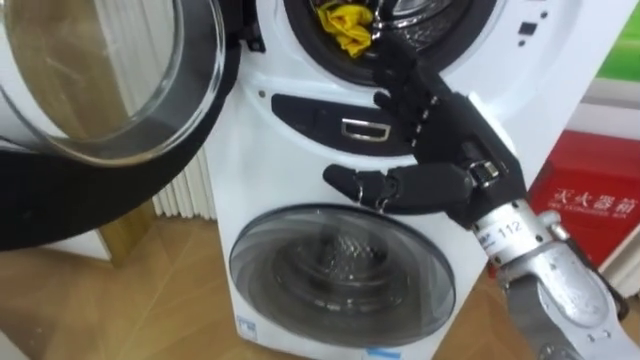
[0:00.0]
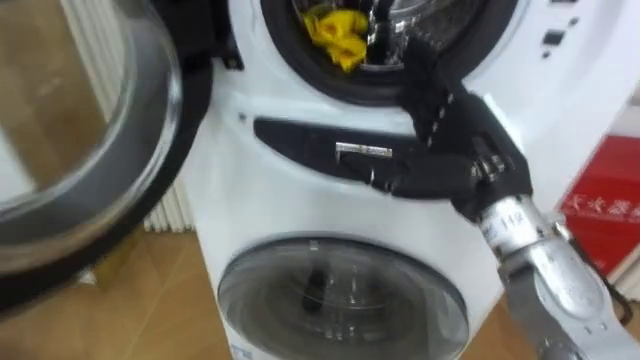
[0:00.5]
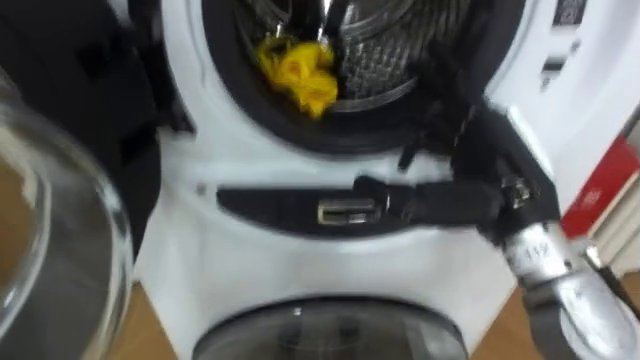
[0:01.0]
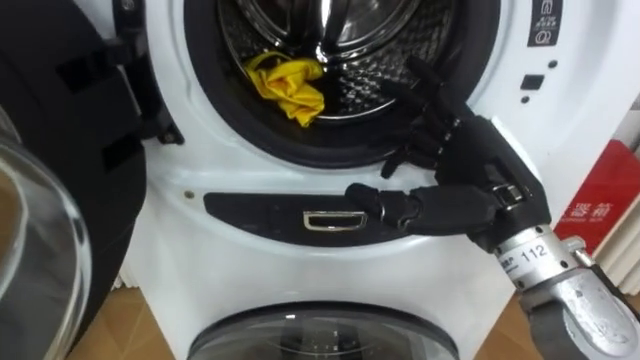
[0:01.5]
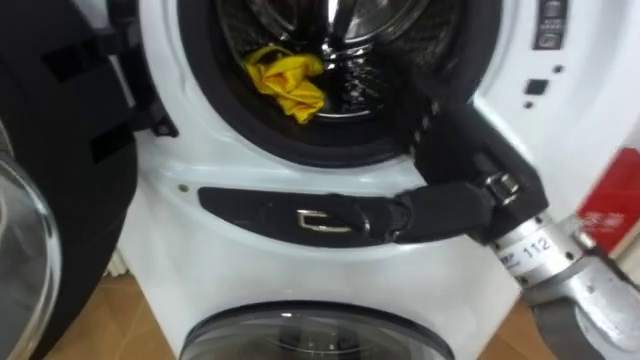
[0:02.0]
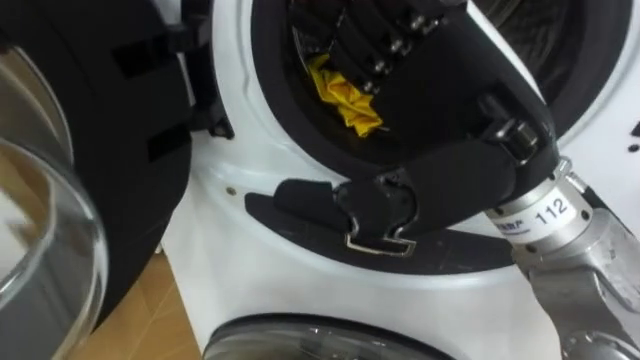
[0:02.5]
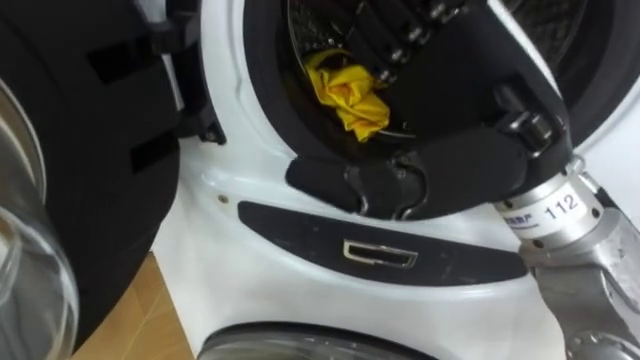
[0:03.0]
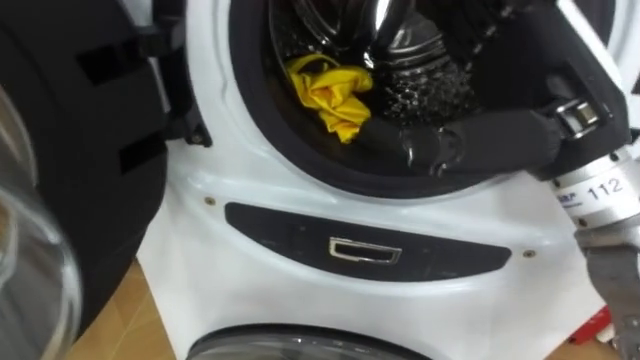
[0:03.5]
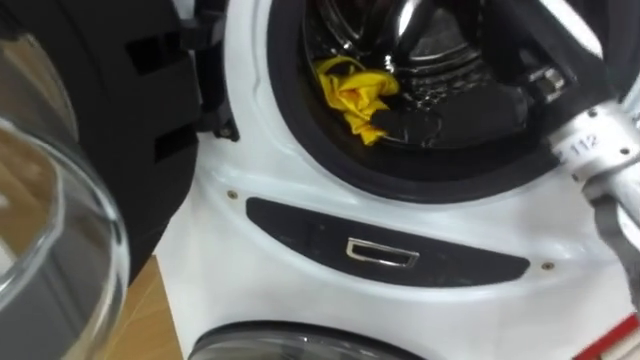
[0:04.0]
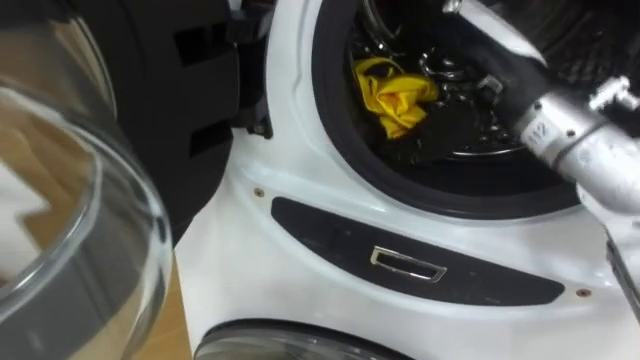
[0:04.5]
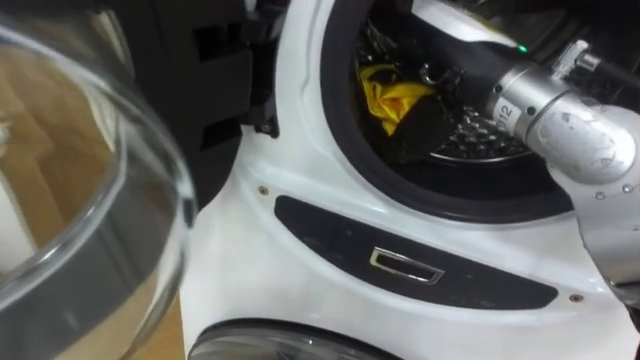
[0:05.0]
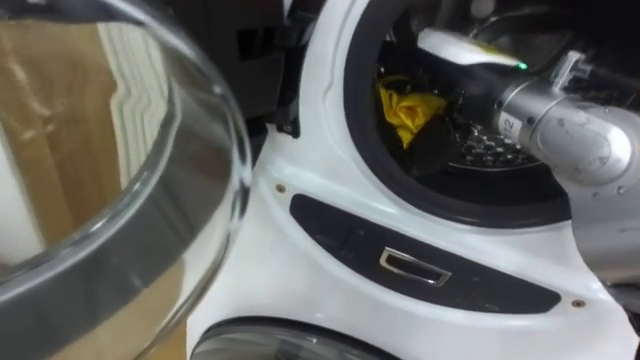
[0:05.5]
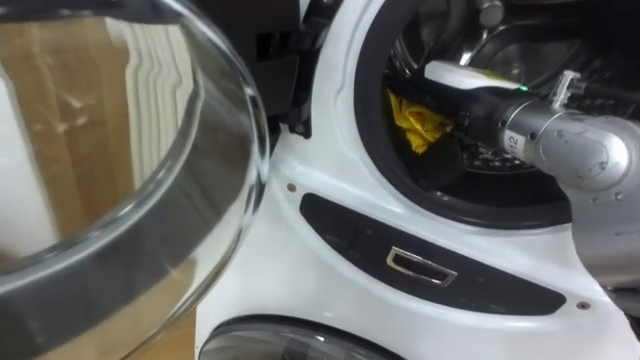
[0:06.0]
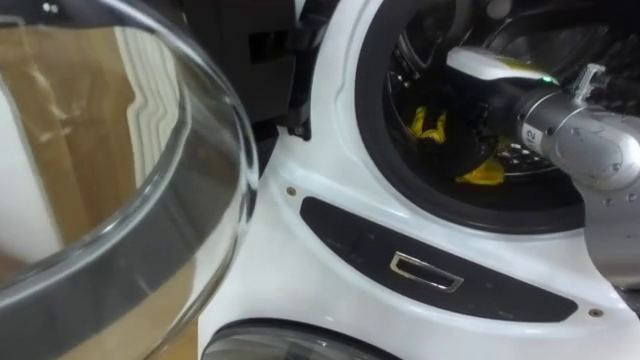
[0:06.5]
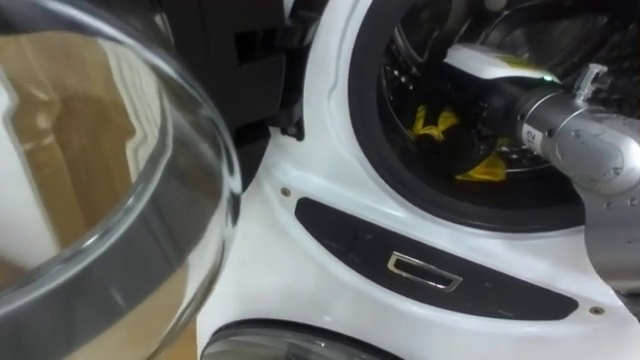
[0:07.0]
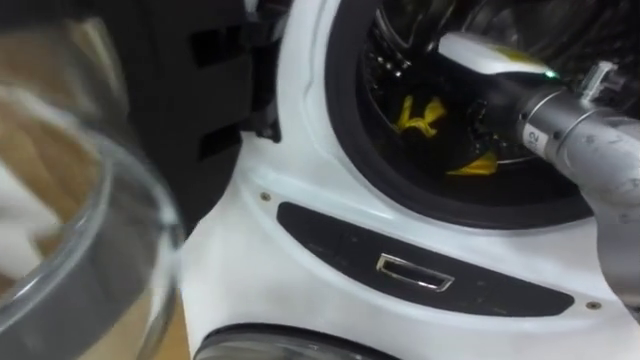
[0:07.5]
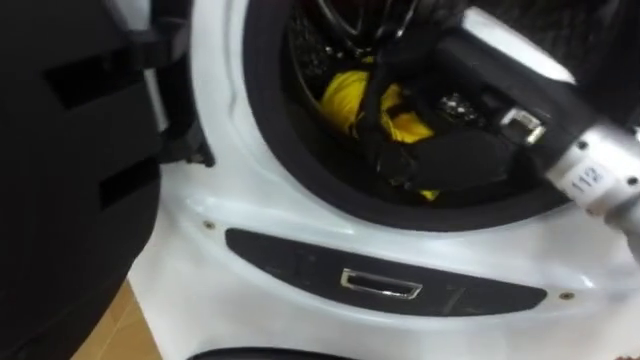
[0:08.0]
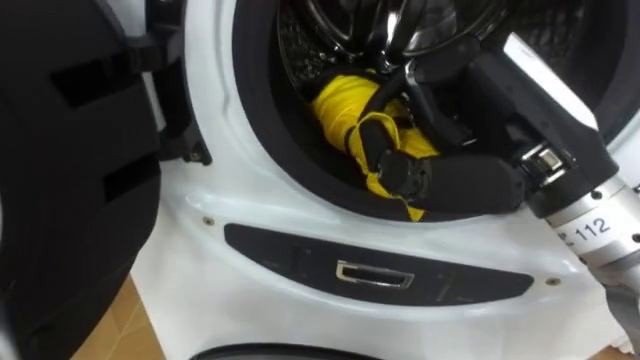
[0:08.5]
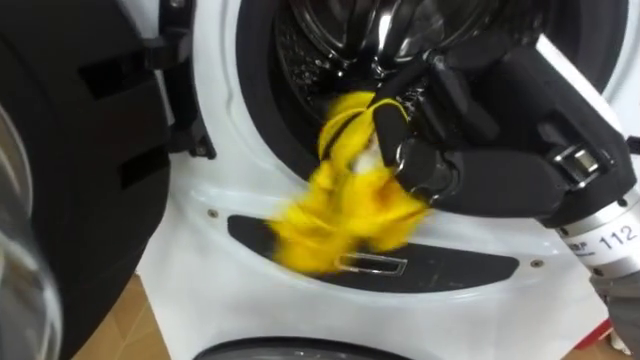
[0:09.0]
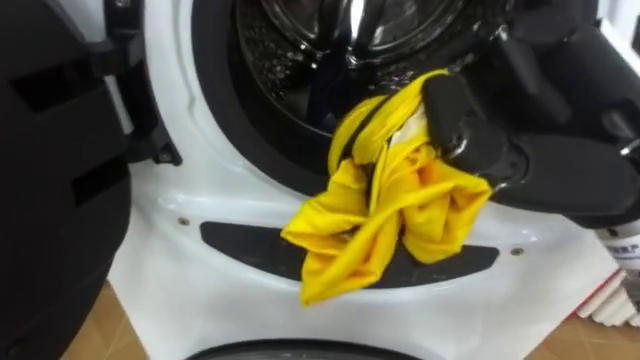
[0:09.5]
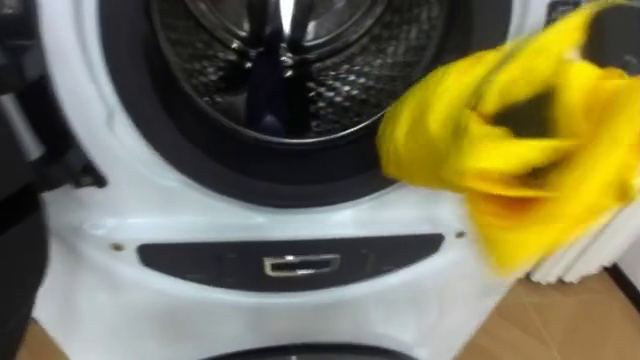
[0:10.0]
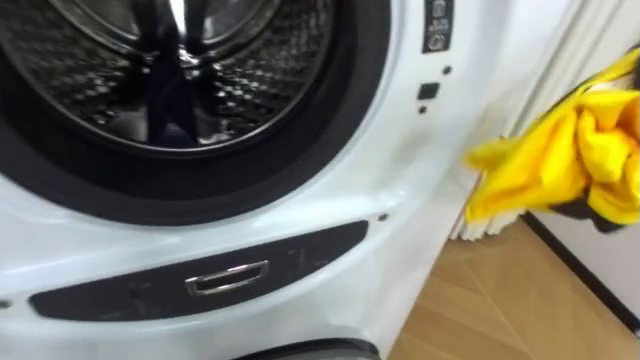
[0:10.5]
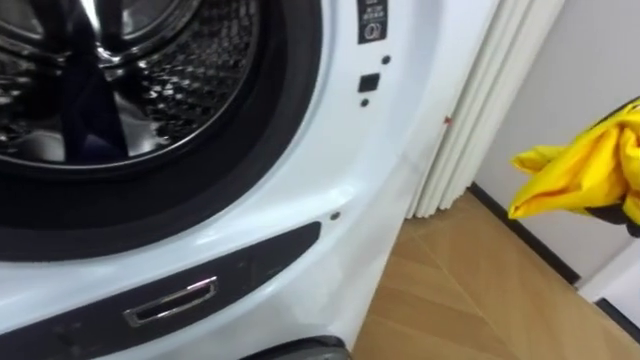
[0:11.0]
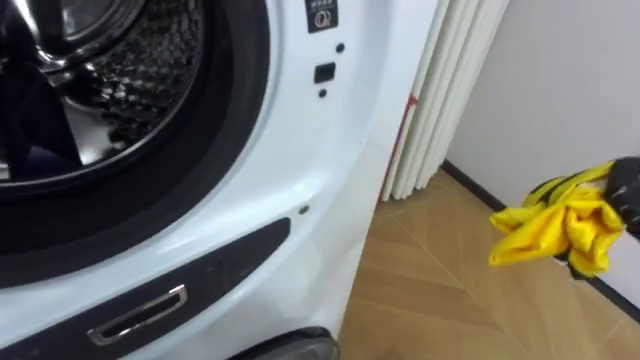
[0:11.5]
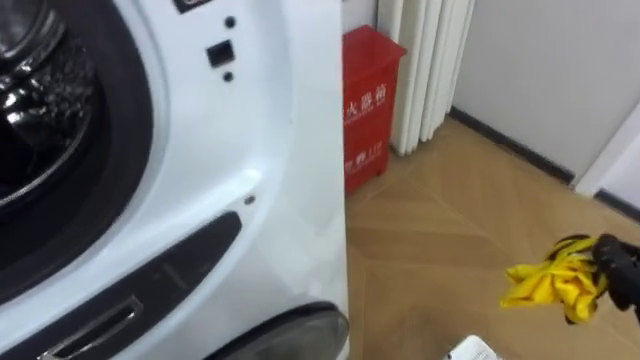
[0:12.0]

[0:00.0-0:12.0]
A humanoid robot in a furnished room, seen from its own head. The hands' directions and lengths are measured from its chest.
Task of the whole recording: Open the washing machine door, take out the yellow clothes, place them in the box on the right, and close the washing machine door.
0:02.0 to 0:04.0: The right hand is displaced upward by about 5 cm.
0:04.0 to 0:06.0: The right hand goes some 5 cm downward.
0:06.0 to 0:08.0: The right hand goes roughly 10 cm backward and upward, and closes its fingers.
0:10.0 to 0:12.0: The robot rotates approximately 25 degrees to its right.

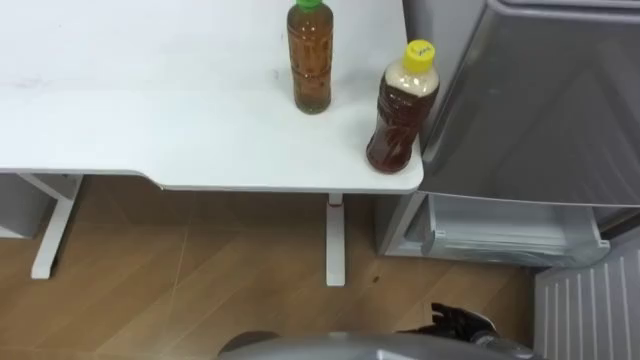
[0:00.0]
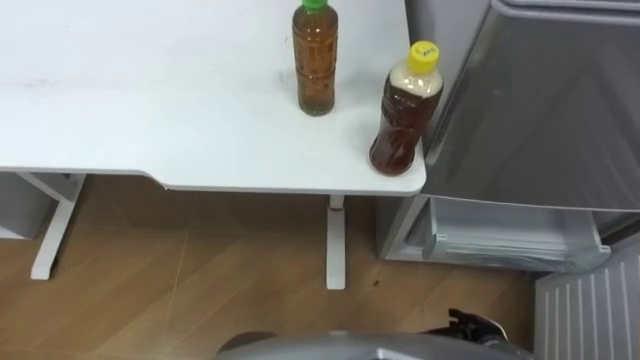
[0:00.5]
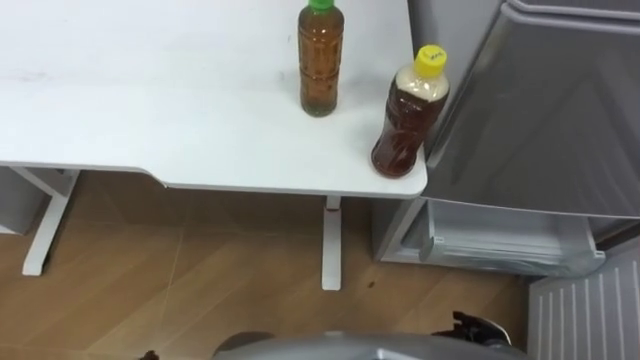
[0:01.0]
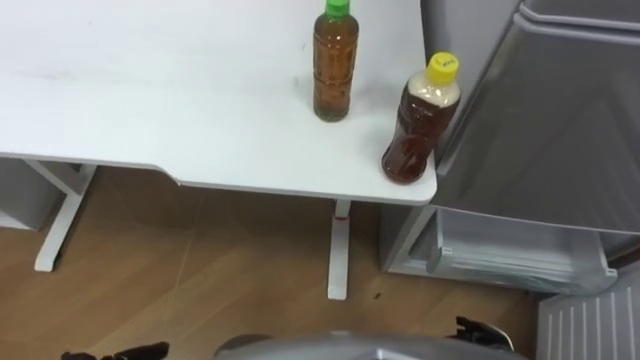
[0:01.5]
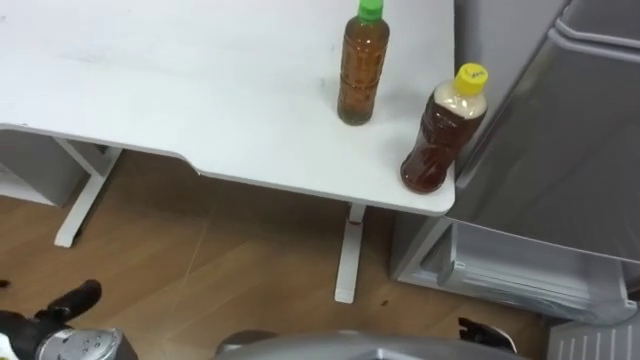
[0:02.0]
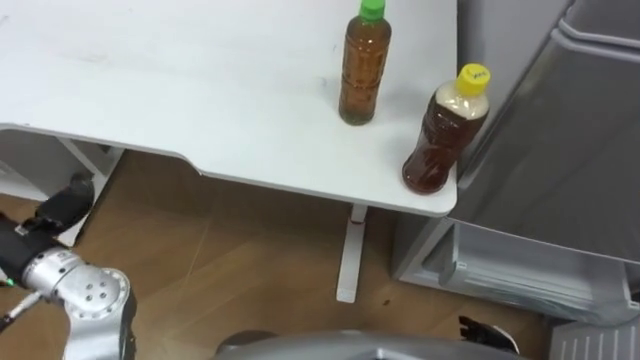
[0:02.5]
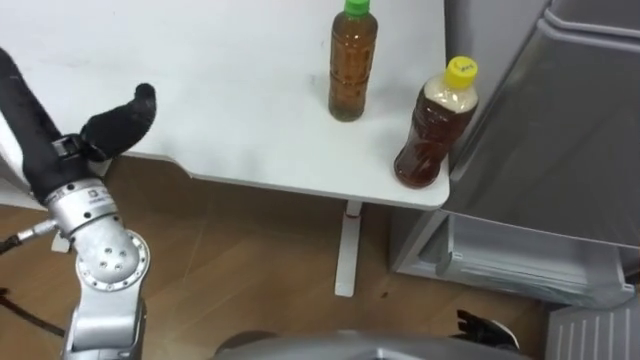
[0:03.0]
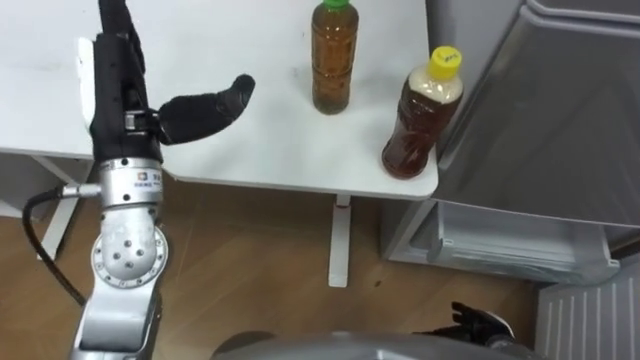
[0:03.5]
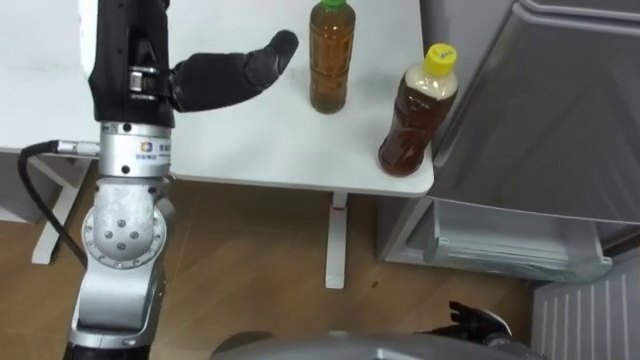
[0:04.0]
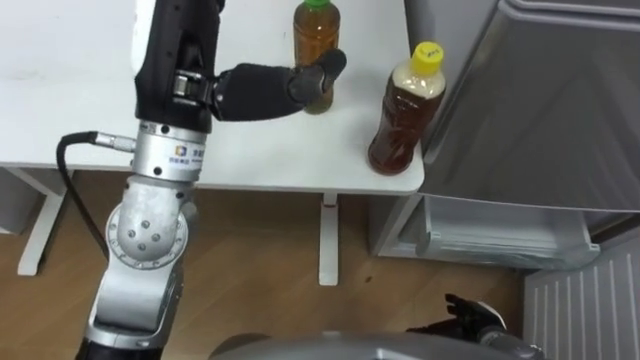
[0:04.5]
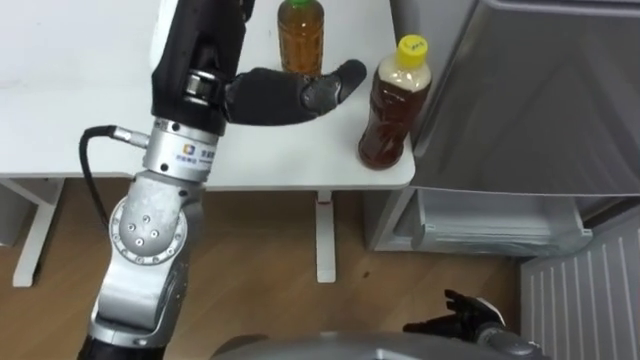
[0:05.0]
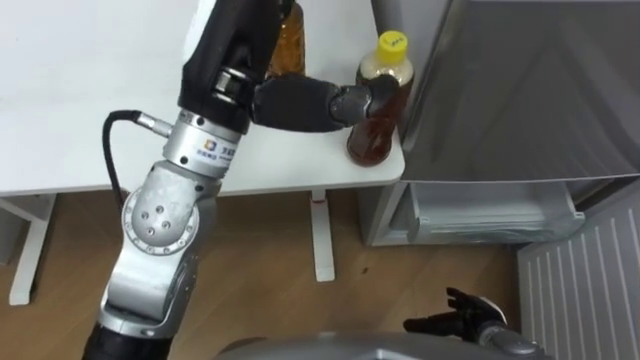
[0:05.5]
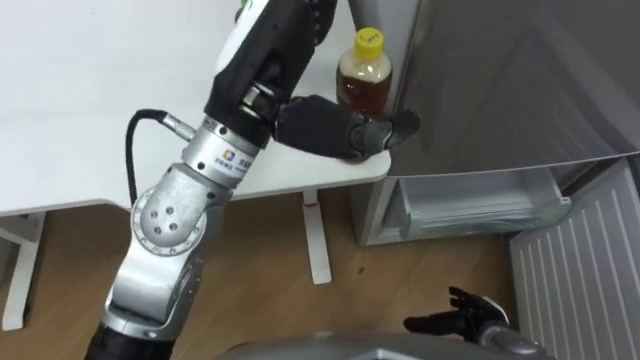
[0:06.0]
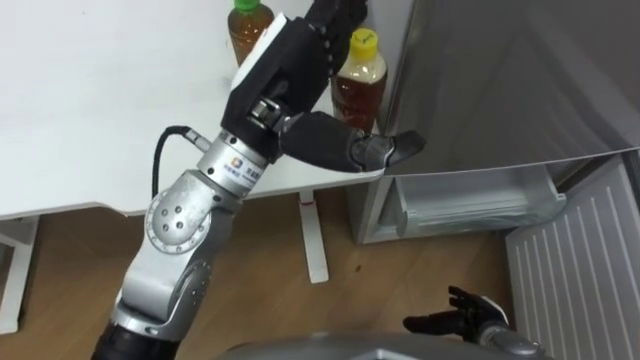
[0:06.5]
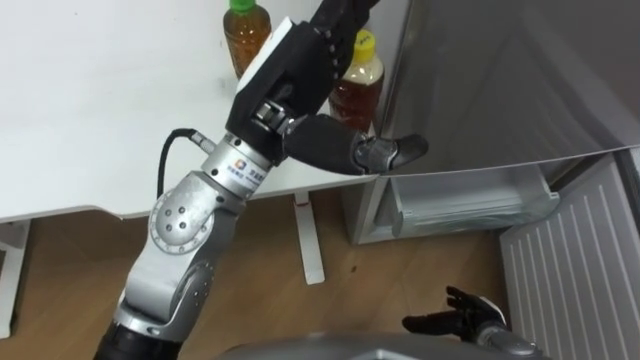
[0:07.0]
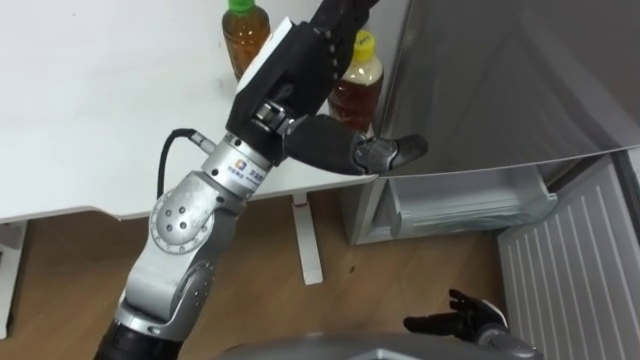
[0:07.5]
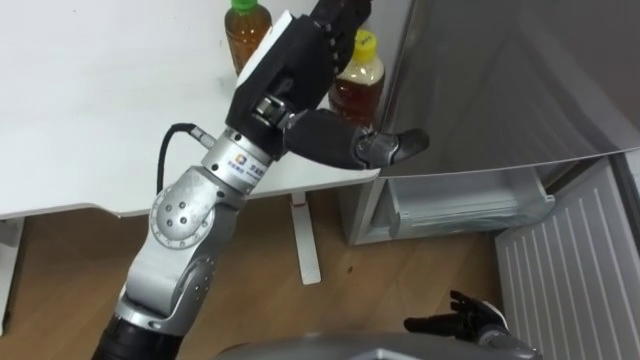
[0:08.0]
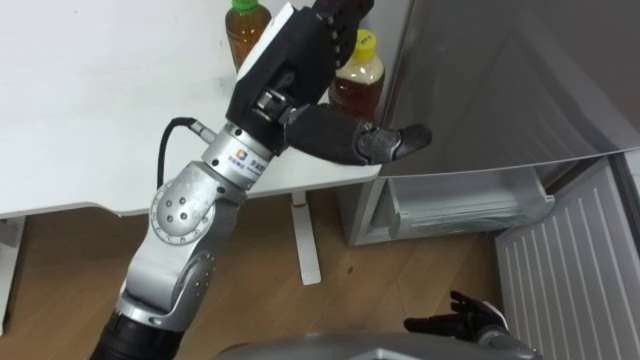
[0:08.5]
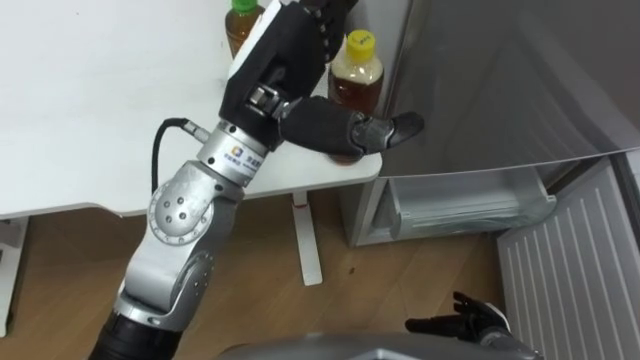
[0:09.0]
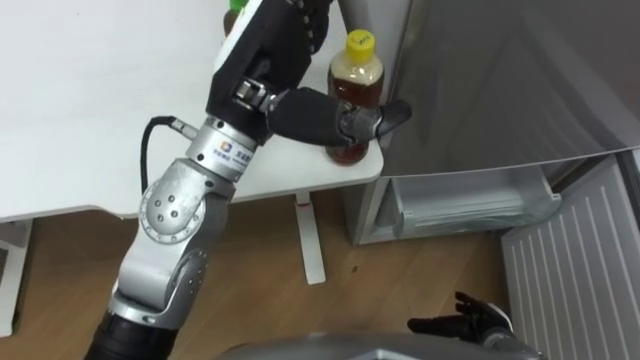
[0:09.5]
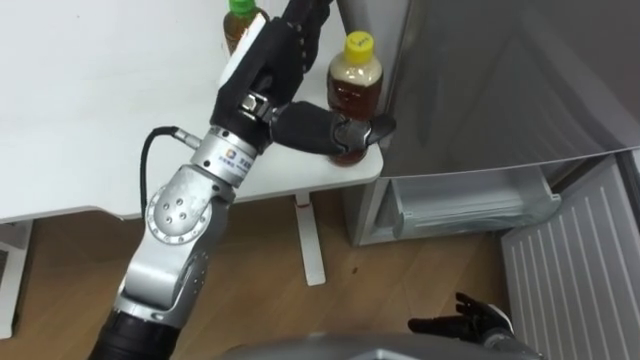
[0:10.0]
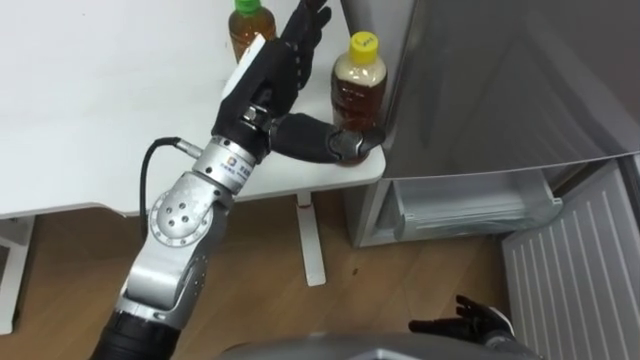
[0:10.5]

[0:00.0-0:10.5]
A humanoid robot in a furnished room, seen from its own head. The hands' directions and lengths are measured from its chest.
Task of the whole recording: Place the drink on the table on the bottom shelf of the refrigerator, then close the drawer and the refrigerator door.
0:02.0 to 0:04.0: The left hand heads upward, to the right and forward, covering some 40 cm.
0:04.0 to 0:06.5: The left hand goes roughly 10 cm to the right.
0:06.5 to 0:08.5: Both hands stay put.
0:08.5 to 0:10.5: The left hand shifts approximately 5 cm downward.
